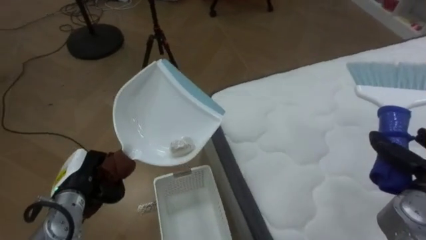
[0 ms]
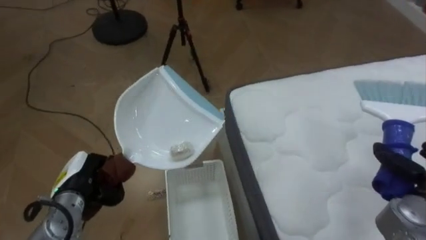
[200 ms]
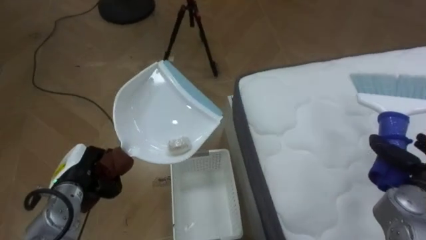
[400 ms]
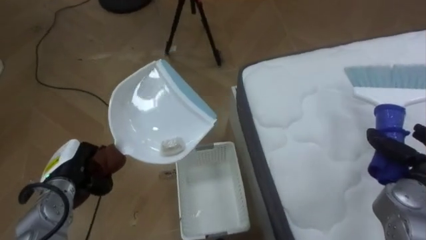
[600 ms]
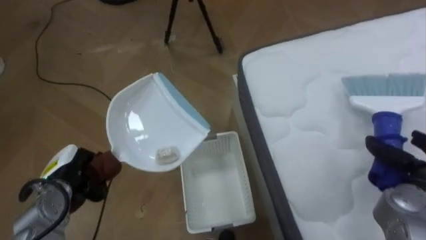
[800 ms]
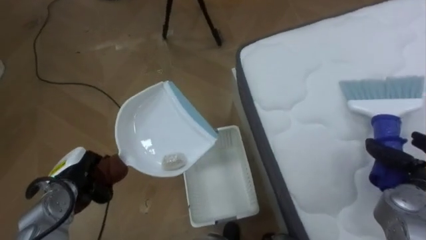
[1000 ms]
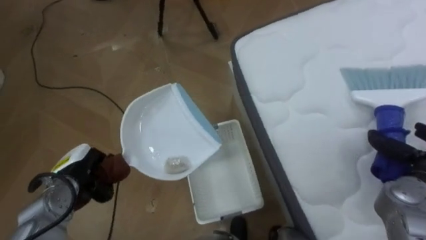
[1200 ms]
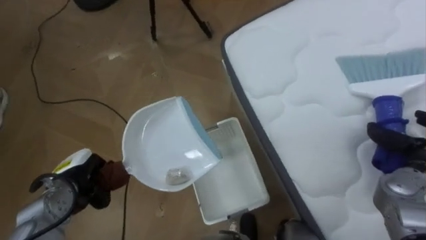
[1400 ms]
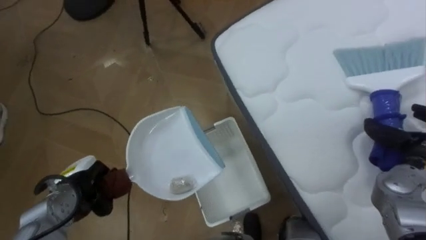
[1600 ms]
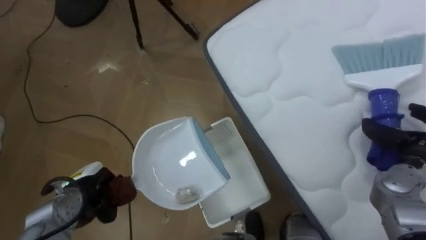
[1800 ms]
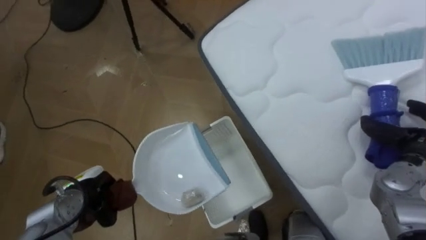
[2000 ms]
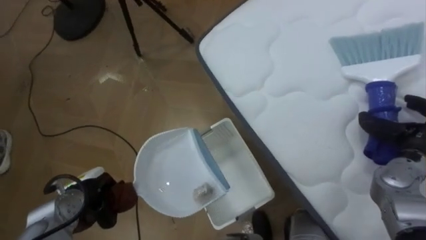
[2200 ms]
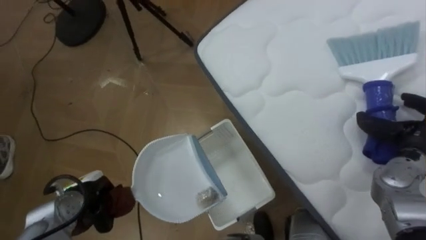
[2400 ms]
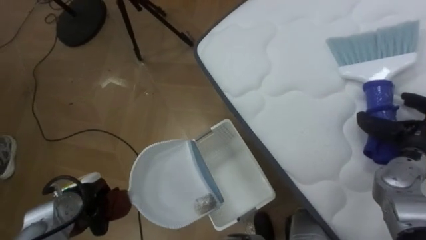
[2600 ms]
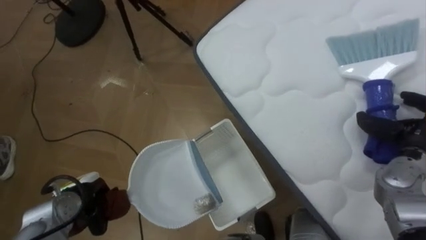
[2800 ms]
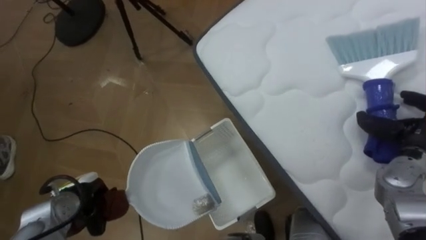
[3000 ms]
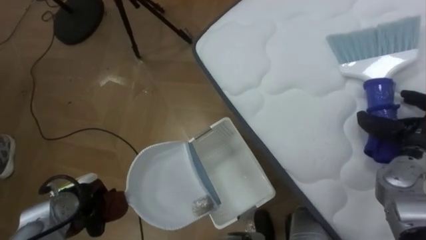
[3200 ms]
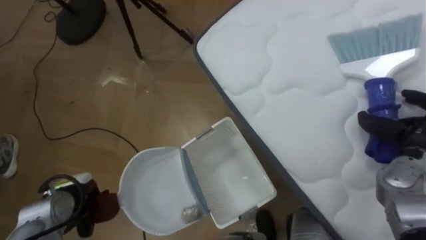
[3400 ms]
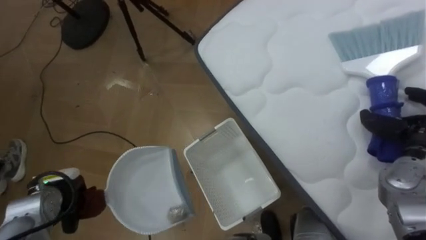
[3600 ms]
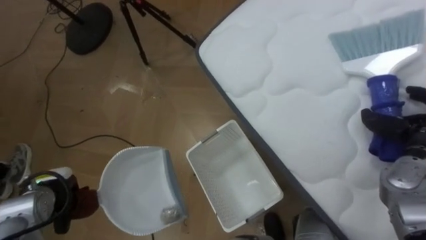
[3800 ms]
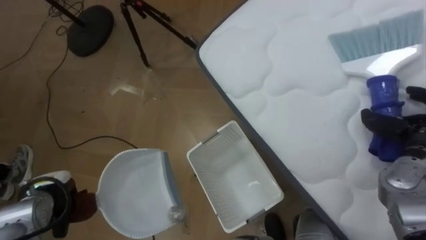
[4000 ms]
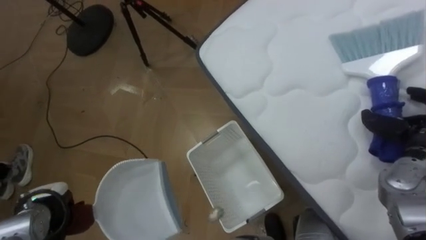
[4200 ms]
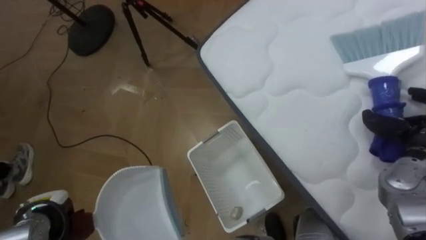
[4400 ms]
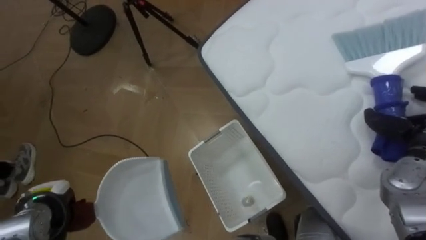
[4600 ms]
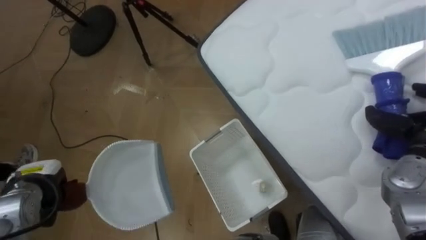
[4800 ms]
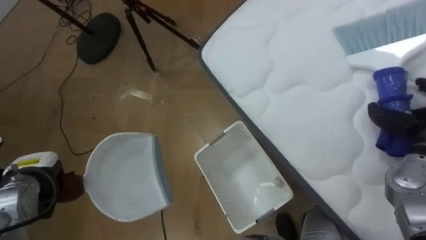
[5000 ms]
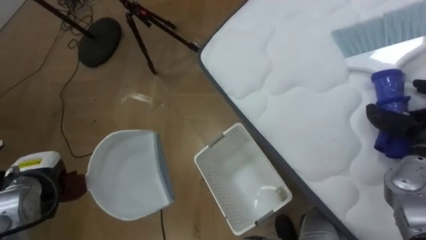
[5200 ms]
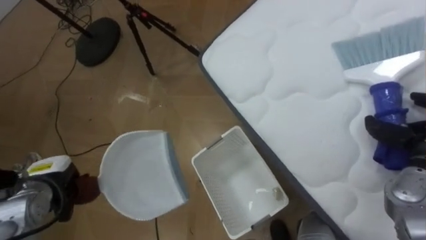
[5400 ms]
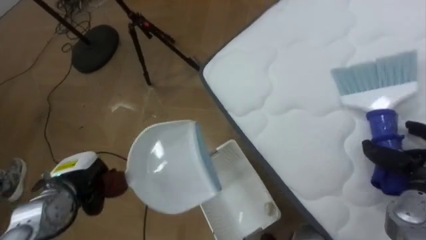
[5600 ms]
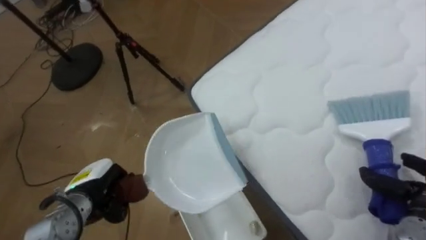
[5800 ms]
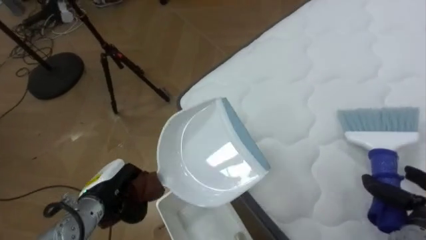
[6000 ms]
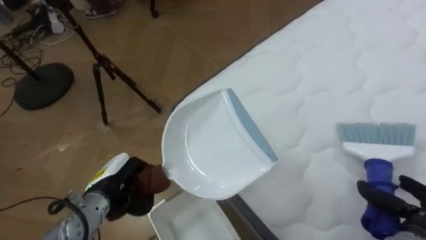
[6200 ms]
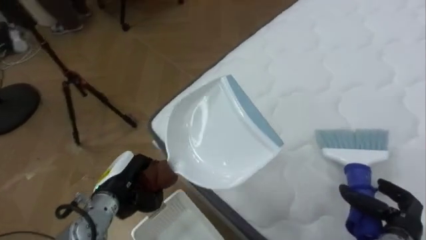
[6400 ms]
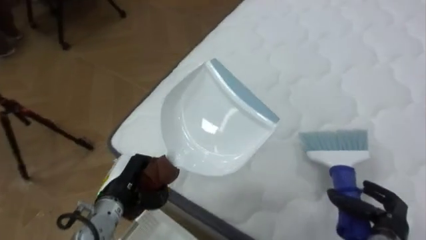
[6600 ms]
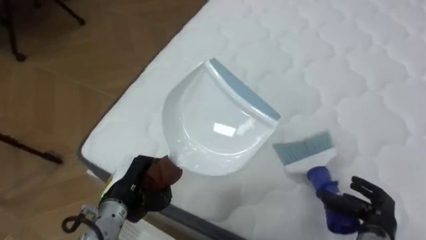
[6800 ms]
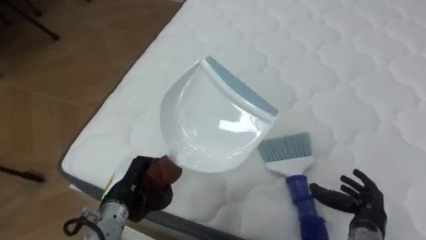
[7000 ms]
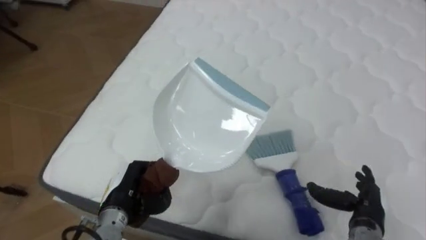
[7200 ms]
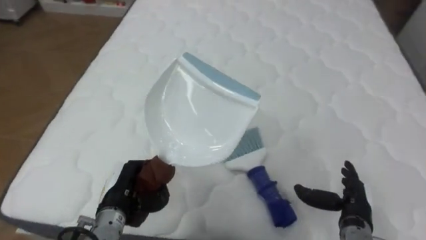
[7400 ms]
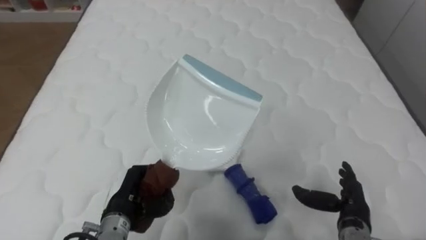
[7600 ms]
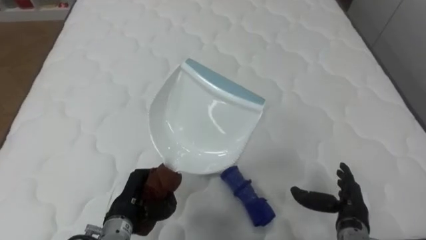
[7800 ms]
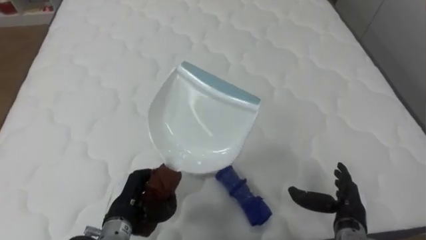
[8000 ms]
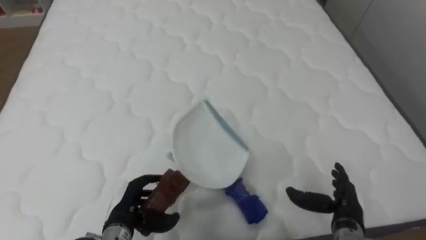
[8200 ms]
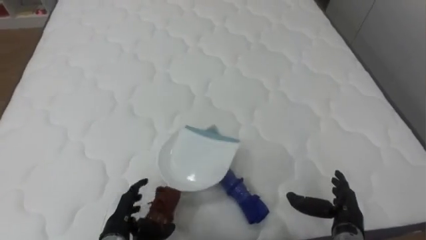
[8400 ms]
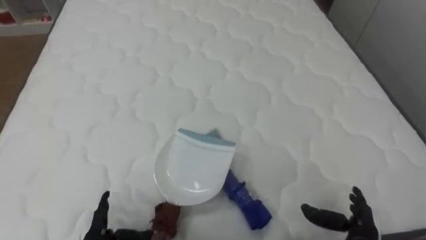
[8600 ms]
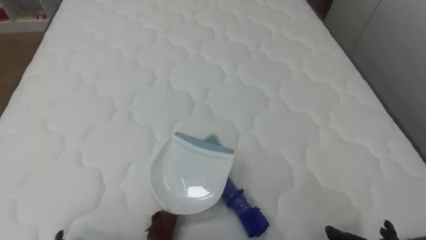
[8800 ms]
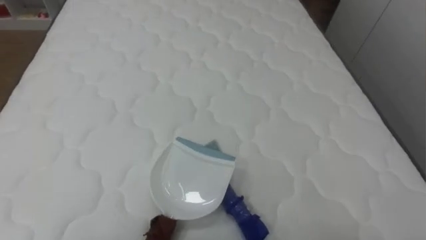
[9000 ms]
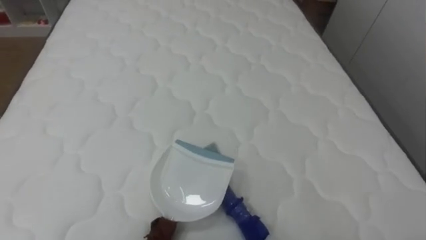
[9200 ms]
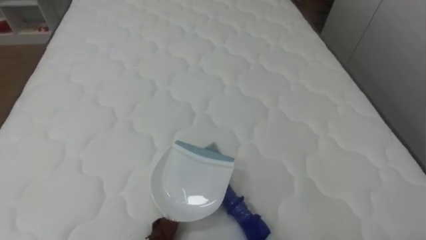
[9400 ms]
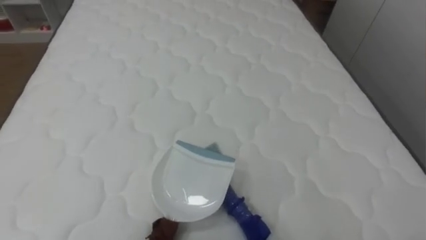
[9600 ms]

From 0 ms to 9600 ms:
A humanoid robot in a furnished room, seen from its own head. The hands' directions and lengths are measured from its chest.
Task of the whole recording: Pick up the brush on your right and the dustpan on your left. Use the brush to sweep the crumpled paper on the bed into the dustpan, then turn left and empty it into the basket.
From 0 ms to 1600 ms: The right hand shifts approximately 5 cm forward.
From 3200 ms to 4800 ms: The left hand shifts about 5 cm to the left.
From 4800 ms to 6400 ms: The robot turns to its right by approximately 20 degrees. The left hand is displaced to the right by roughly 15 cm.
From 6400 ms to 8000 ms: The robot faces approximately 55 degrees further to its right. The right hand travels to the left by some 10 cm, and opens.

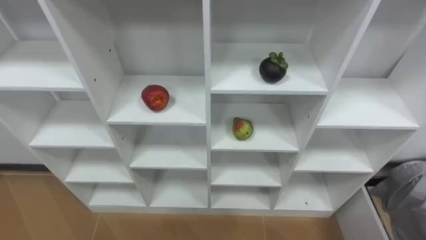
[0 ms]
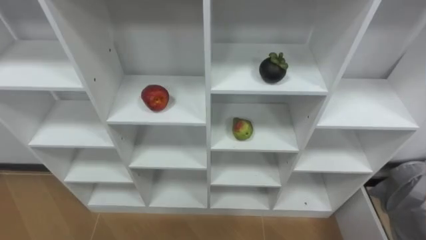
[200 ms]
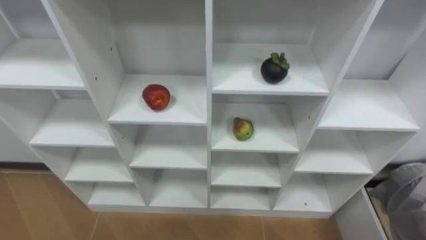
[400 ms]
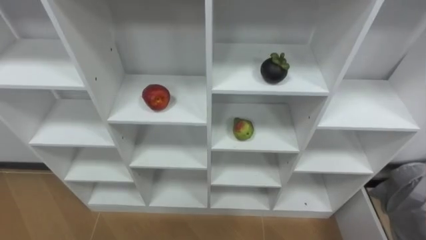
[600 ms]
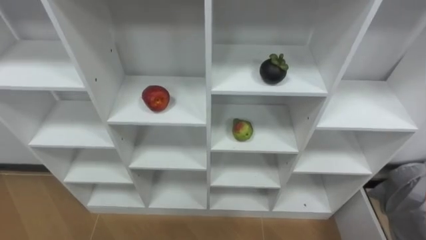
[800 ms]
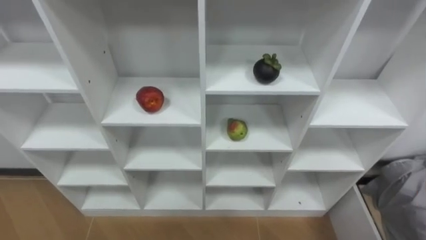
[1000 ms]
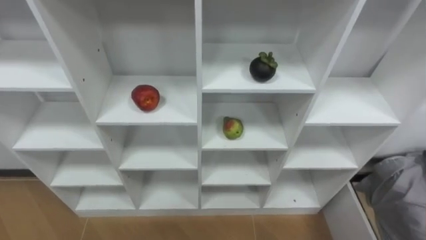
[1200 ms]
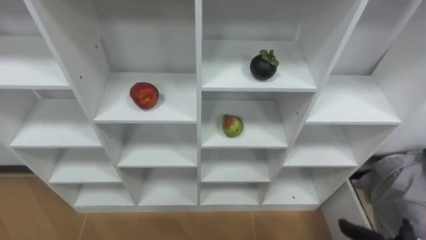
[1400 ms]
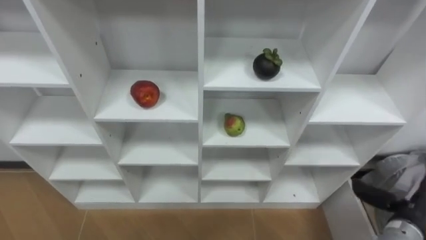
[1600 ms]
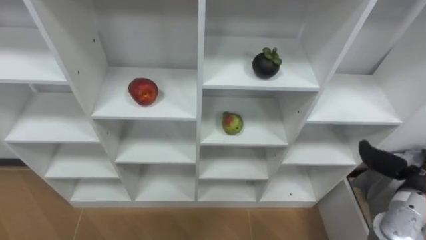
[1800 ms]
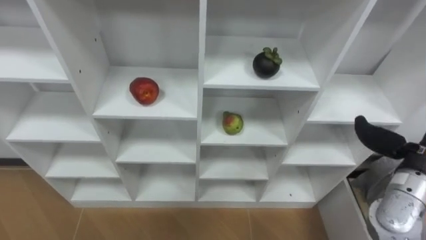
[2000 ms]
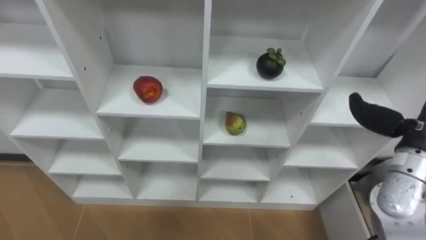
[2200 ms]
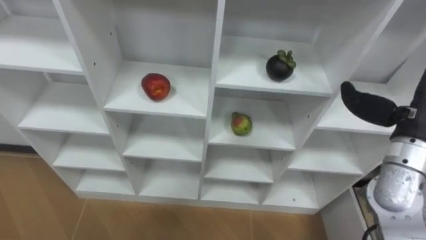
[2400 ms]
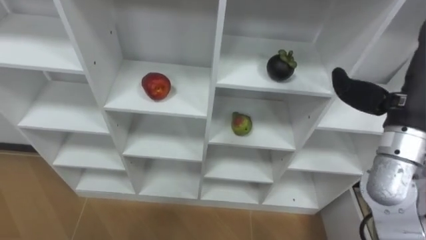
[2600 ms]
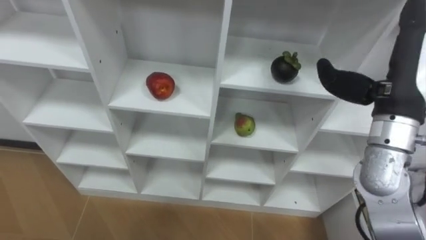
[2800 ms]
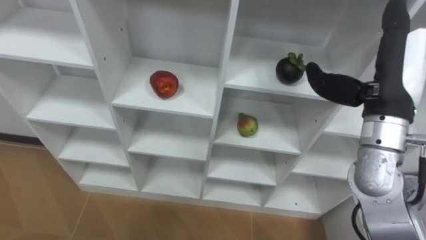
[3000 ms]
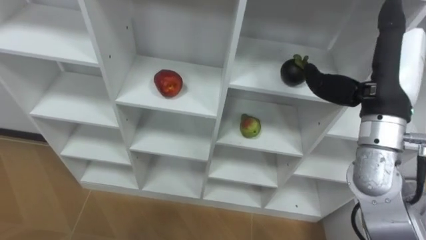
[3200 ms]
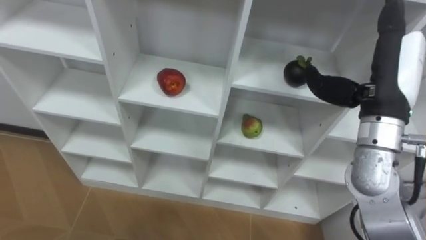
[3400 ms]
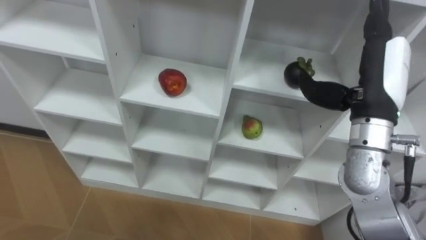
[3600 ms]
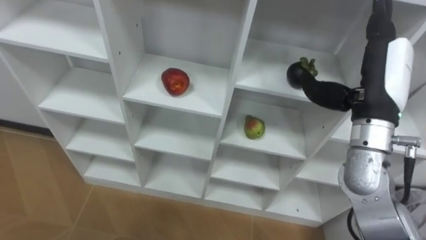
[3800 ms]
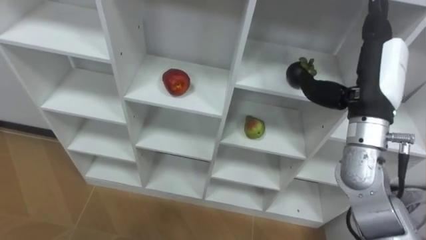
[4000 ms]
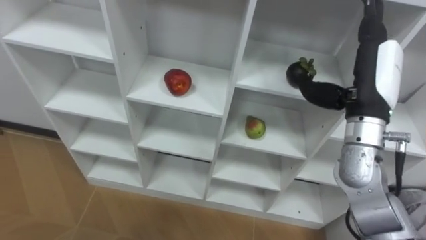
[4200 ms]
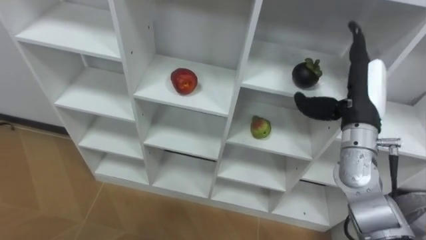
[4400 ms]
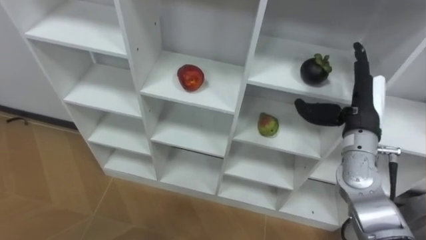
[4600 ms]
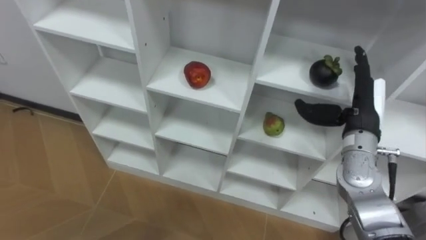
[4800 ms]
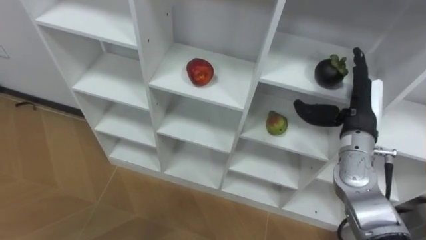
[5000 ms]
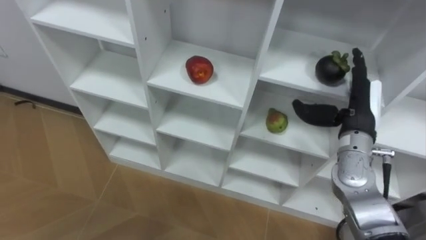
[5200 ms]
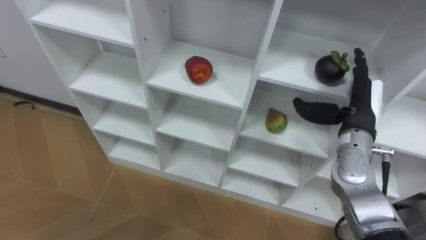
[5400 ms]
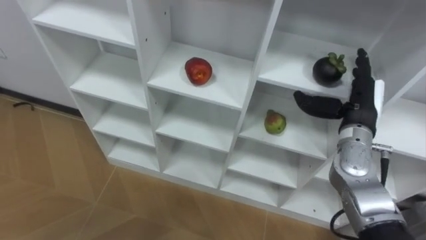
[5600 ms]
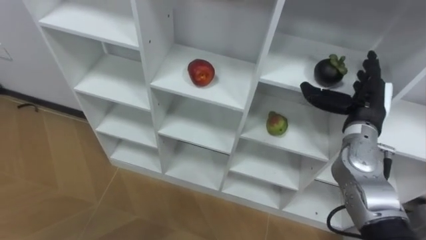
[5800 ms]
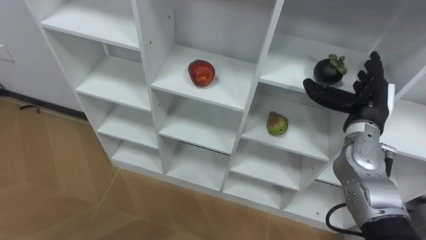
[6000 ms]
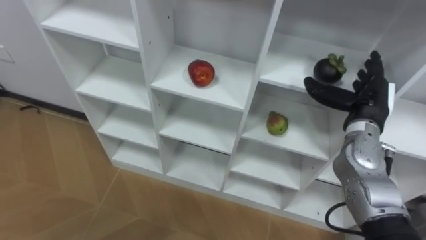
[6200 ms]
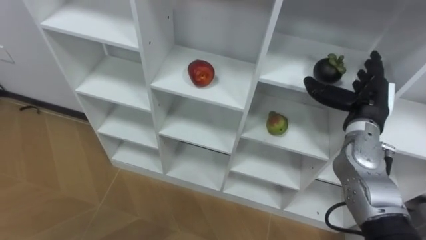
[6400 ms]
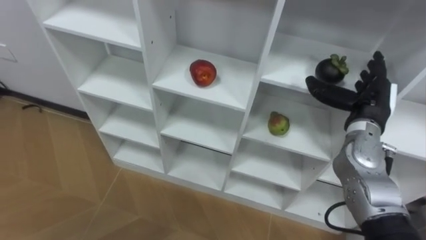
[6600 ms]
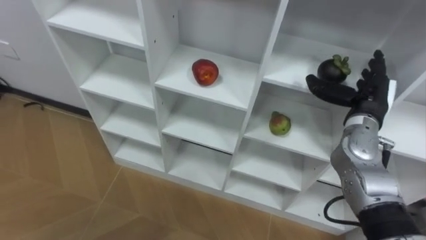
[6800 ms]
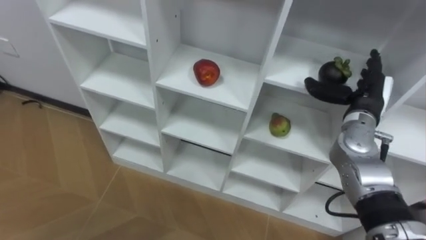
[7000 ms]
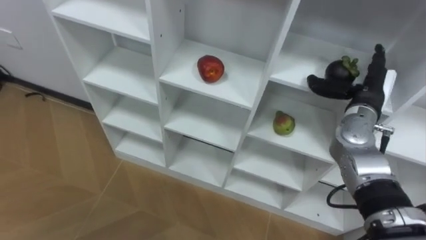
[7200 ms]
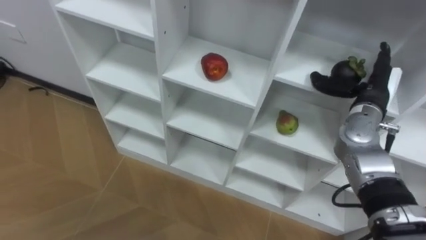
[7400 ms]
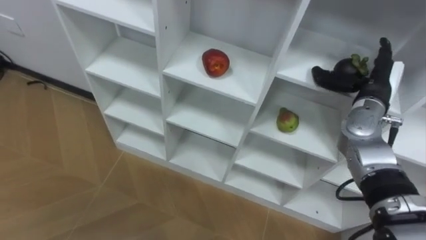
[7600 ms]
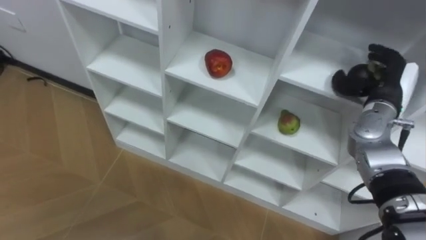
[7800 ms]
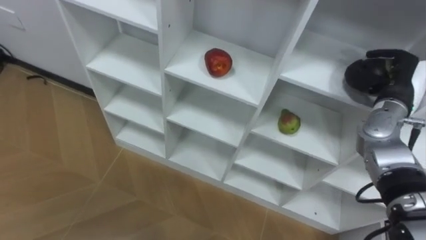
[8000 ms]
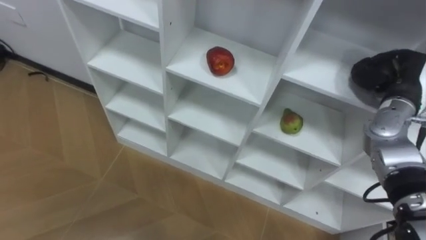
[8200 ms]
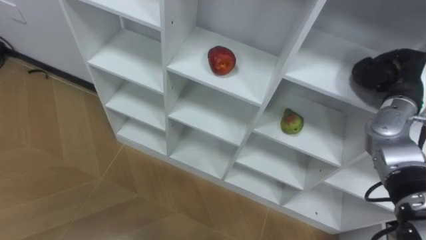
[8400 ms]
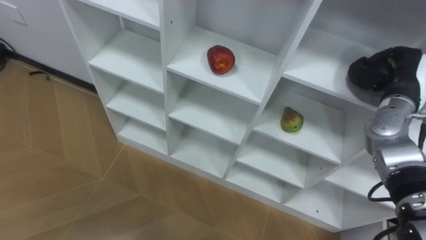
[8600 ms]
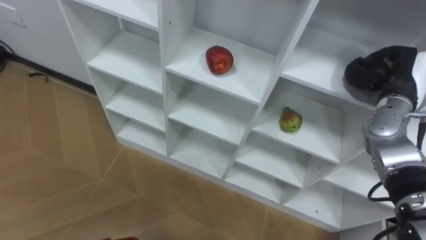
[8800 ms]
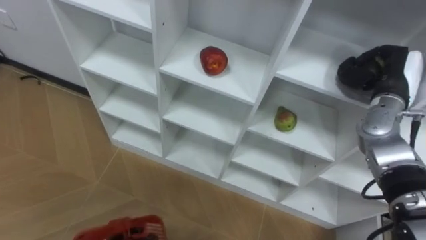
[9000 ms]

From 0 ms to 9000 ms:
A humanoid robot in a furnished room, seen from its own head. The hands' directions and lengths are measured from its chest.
Task of the whole recording: Hold the basket and collect the fruits from 3 different cells of the closet into it.
From 3000 ms to 4400 ms: The right hand travels downward by approximately 10 cm.
From 4400 ms to 6000 ms: The right hand ends up about 5 cm from where it was.
From 7600 ms to 9000 ms: The right hand closes its fingers.
